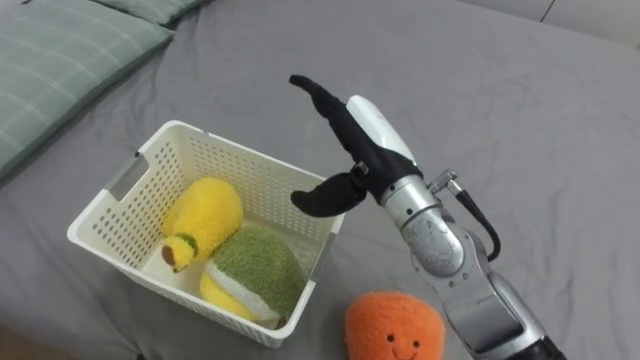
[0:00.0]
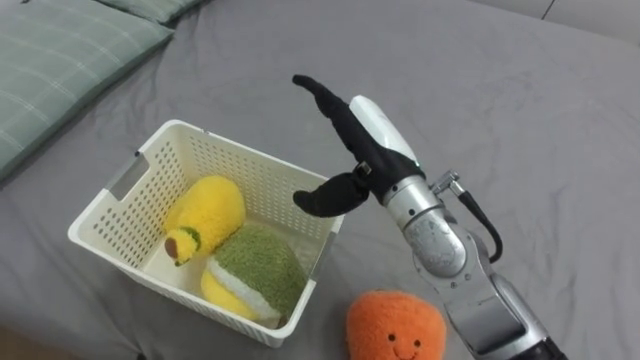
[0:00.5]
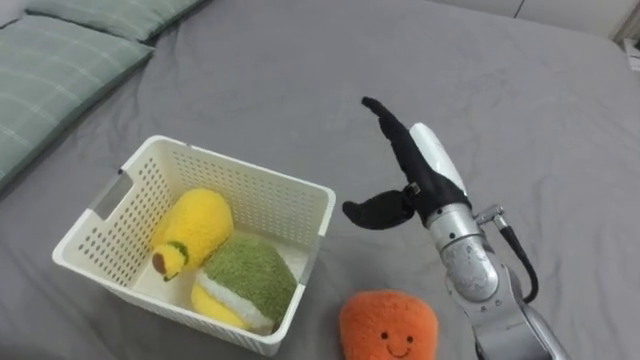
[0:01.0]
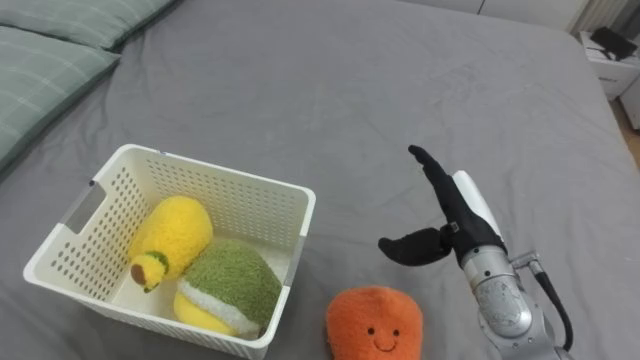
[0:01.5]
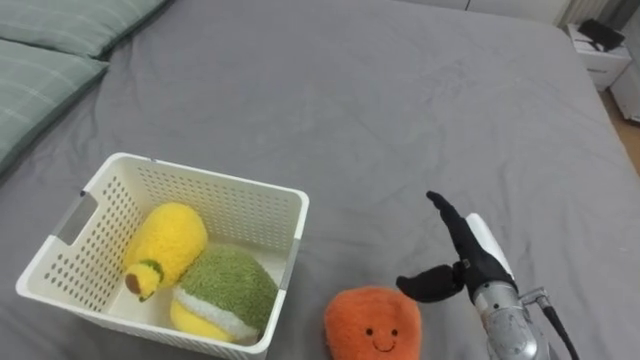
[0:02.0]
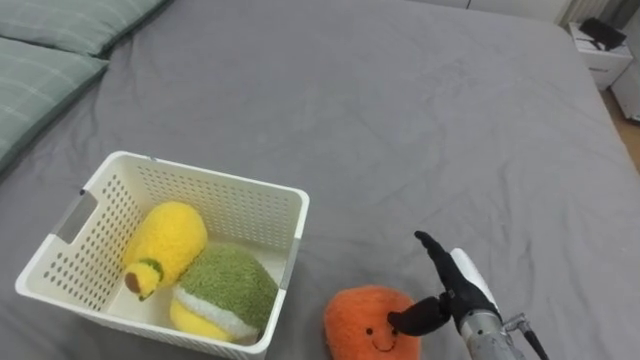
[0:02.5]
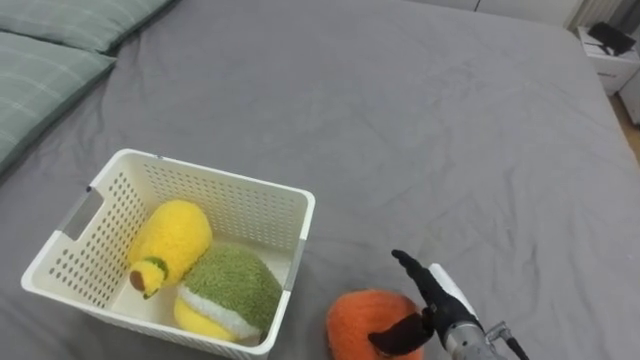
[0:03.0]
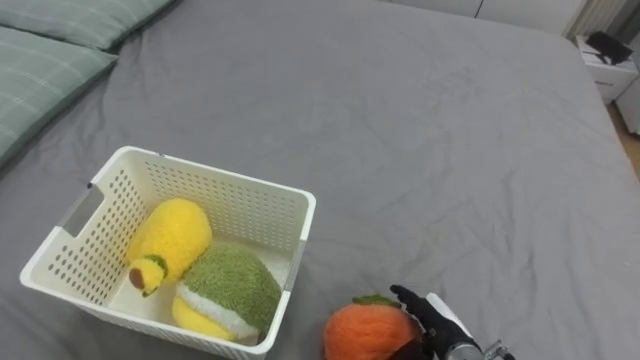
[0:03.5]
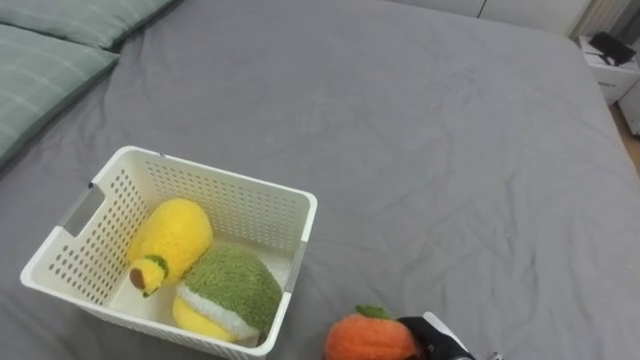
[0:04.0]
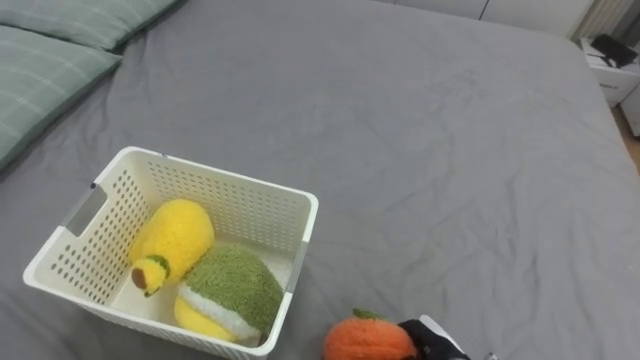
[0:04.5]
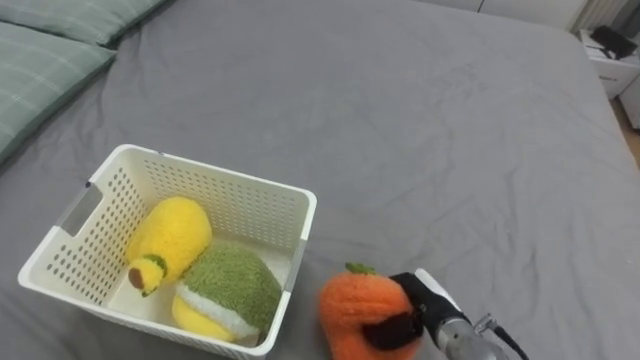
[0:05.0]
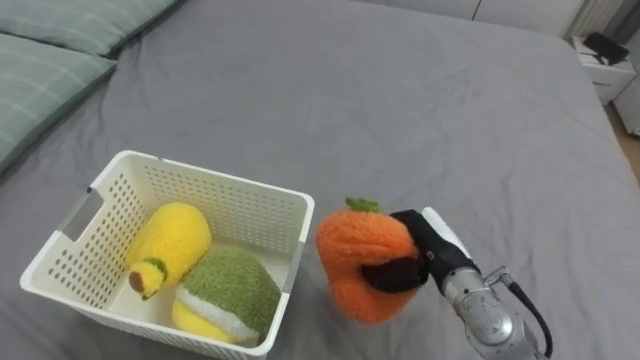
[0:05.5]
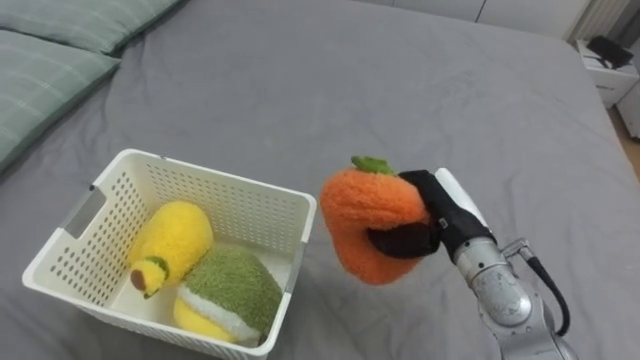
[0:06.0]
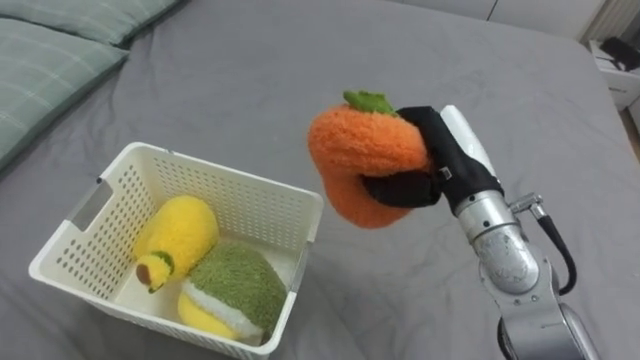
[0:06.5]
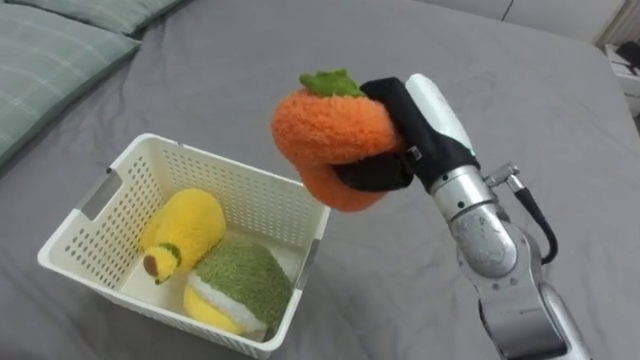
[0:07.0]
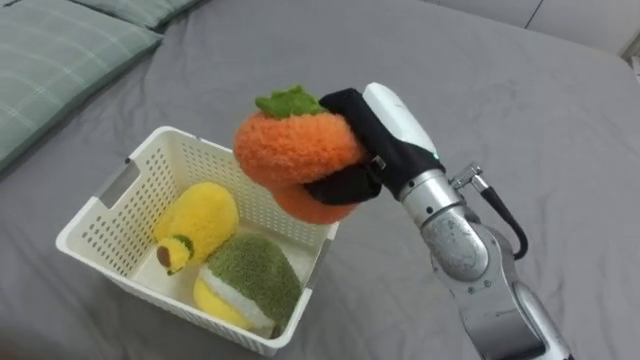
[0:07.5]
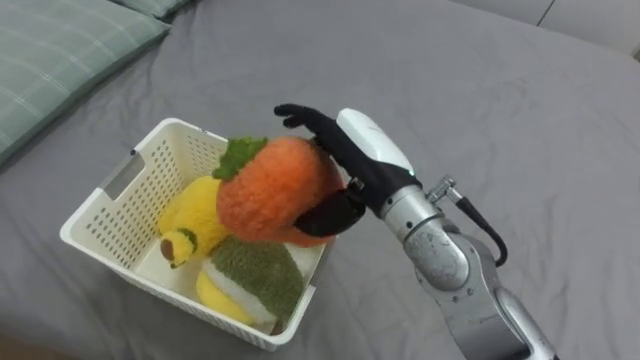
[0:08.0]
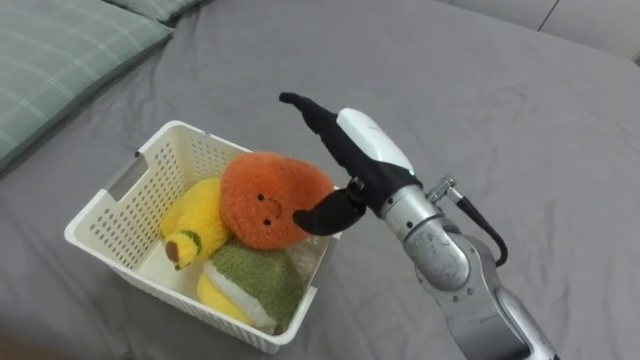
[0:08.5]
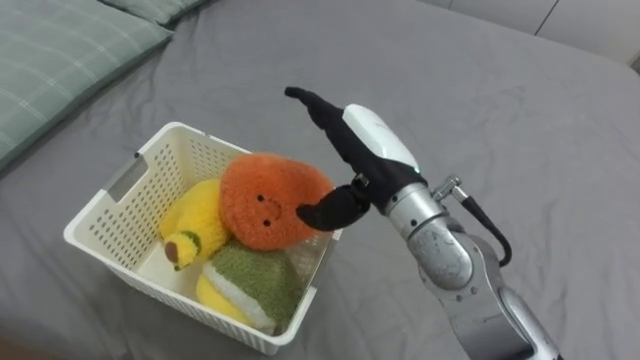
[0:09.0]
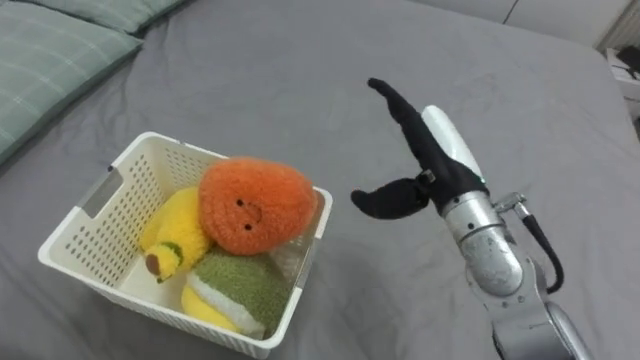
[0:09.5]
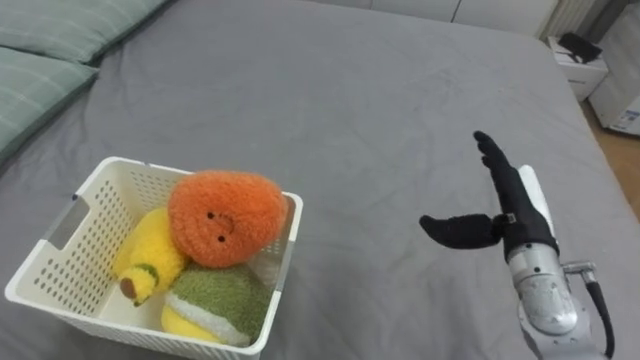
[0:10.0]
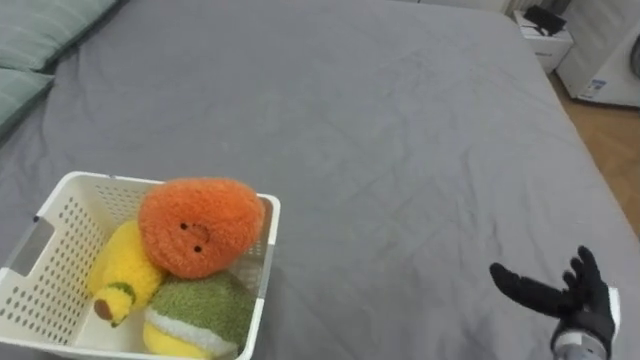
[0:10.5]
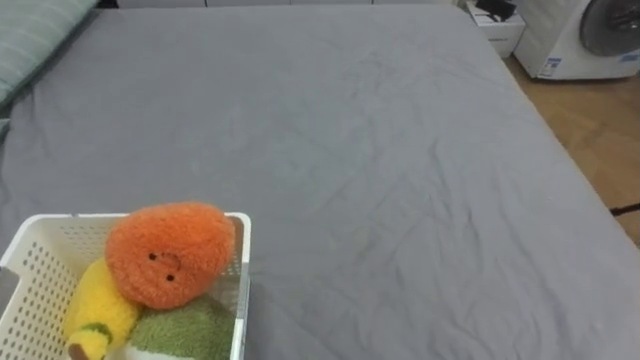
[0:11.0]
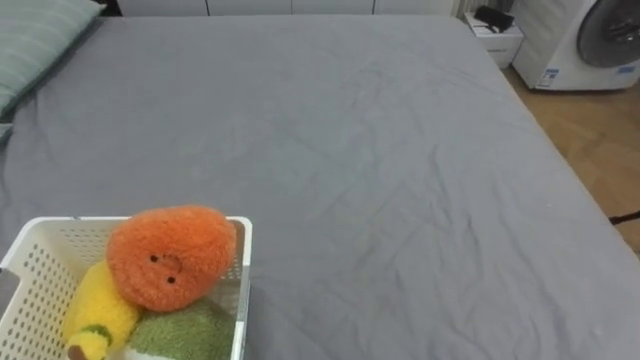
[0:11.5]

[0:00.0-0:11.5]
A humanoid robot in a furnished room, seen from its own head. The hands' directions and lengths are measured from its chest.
Task of the whole recording: Put the toys on the bed into the basket on the left.
0.0 to 2.0 s: The right hand moves downward and to the right, about 20 cm.
2.0 to 4.0 s: The right hand moves downward and backward, roughly 15 cm, and closes up.
4.0 to 6.0 s: The right hand moves upward and forward, about 20 cm, and closes its fingers.
6.0 to 7.5 s: The right hand travels upward and to the left by about 15 cm.
7.5 to 9.5 s: The right hand shifts roughly 5 cm to the right, and opens.

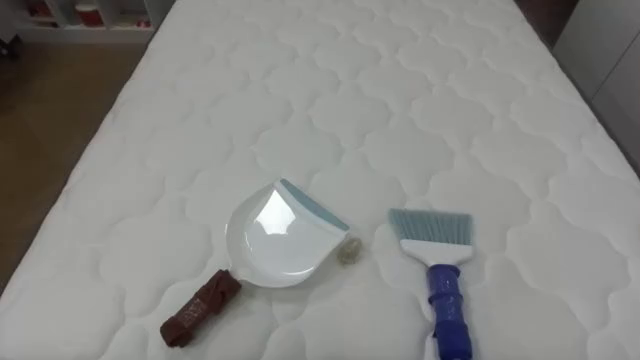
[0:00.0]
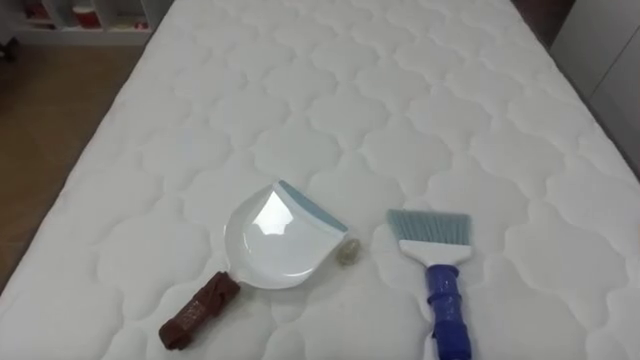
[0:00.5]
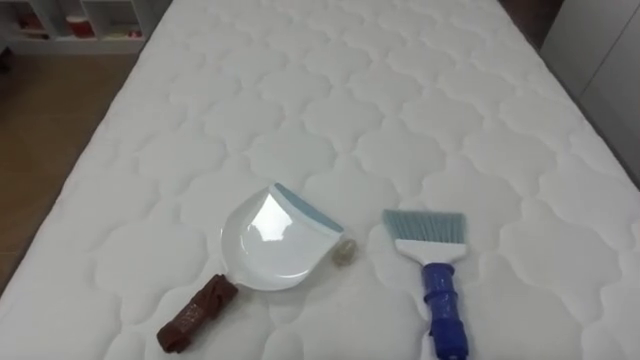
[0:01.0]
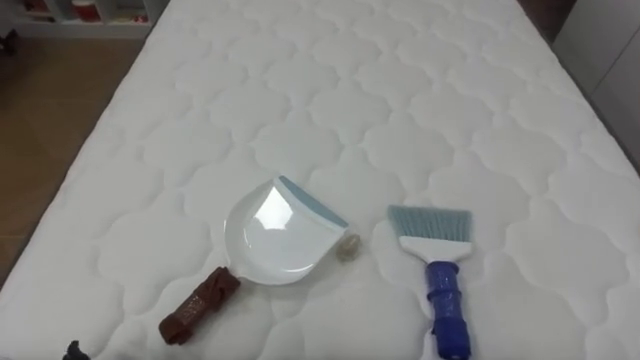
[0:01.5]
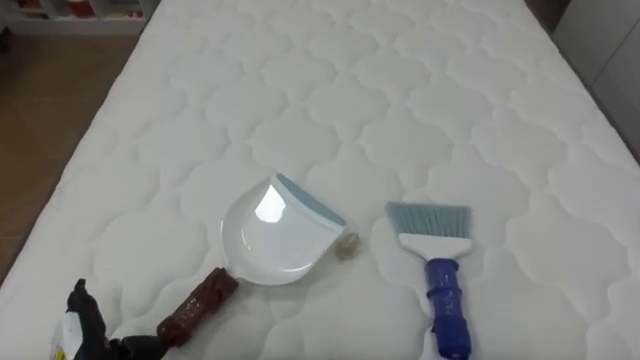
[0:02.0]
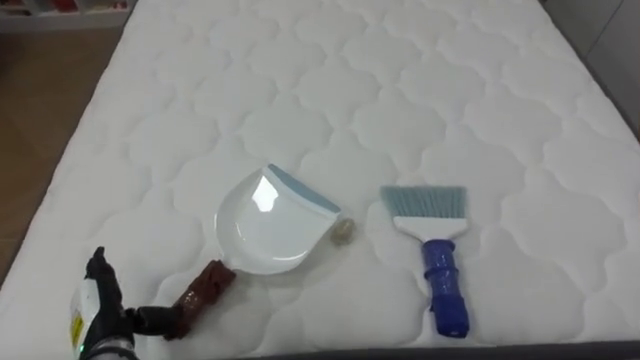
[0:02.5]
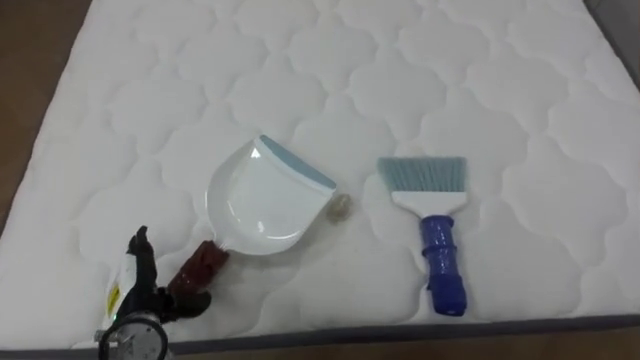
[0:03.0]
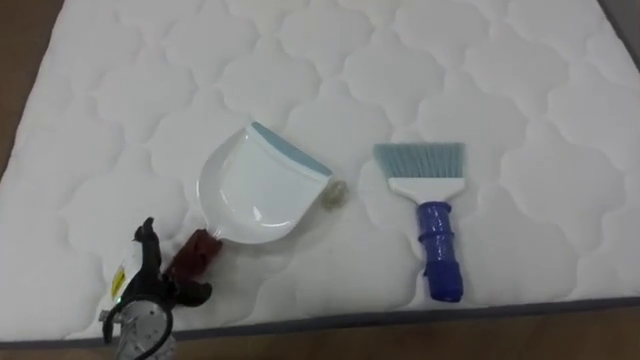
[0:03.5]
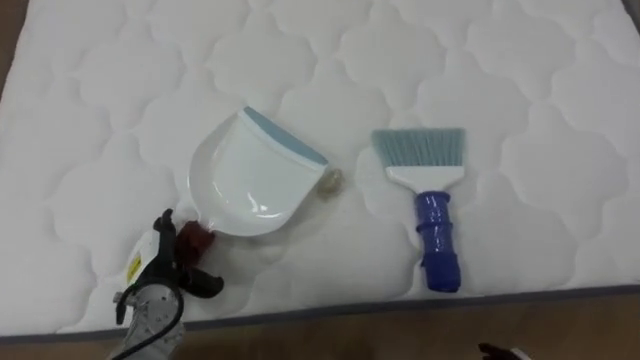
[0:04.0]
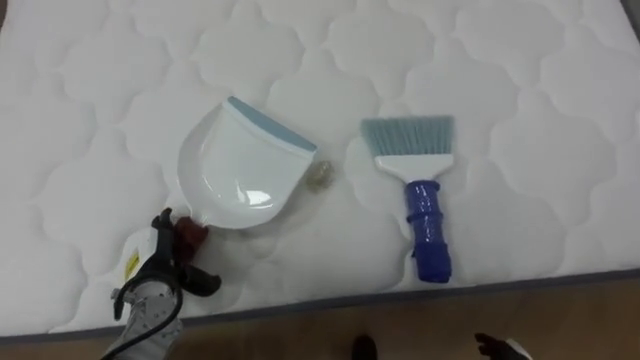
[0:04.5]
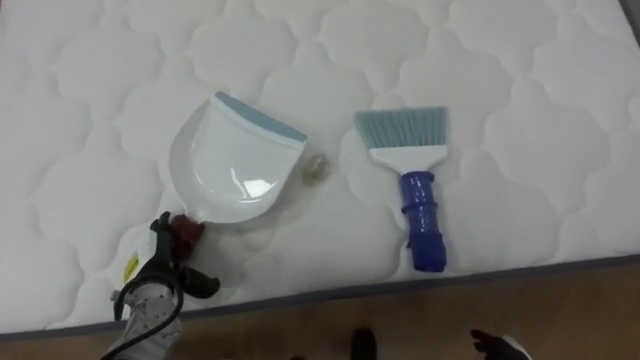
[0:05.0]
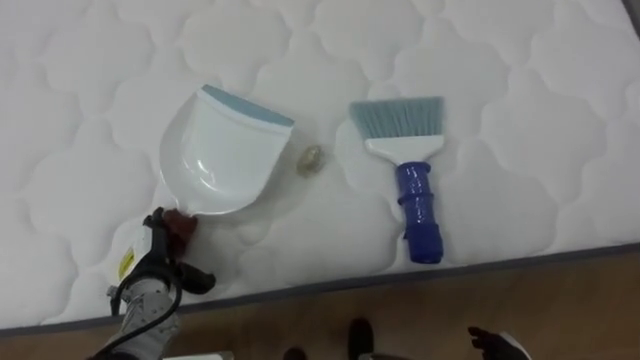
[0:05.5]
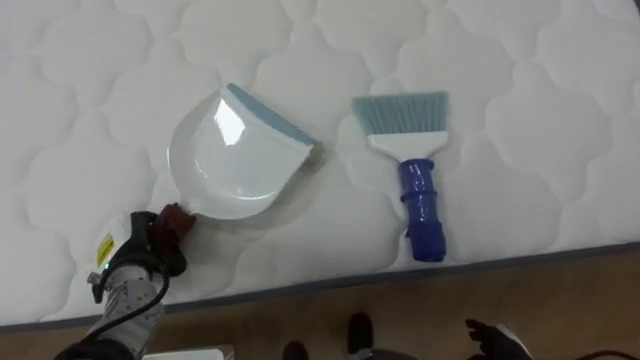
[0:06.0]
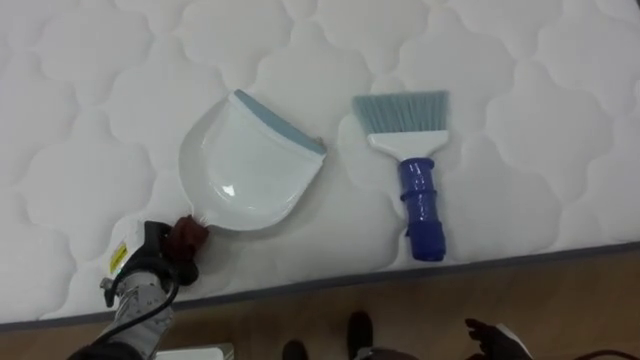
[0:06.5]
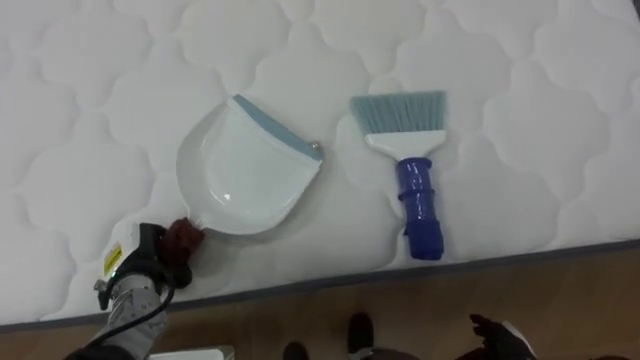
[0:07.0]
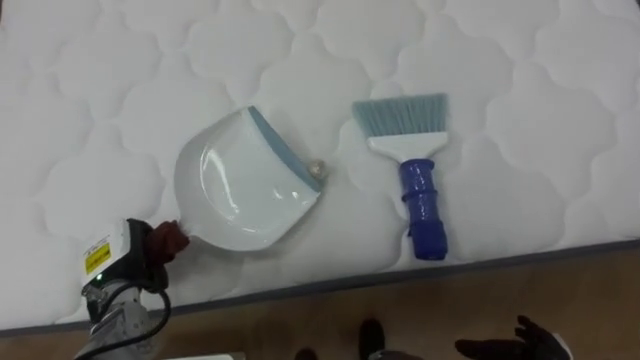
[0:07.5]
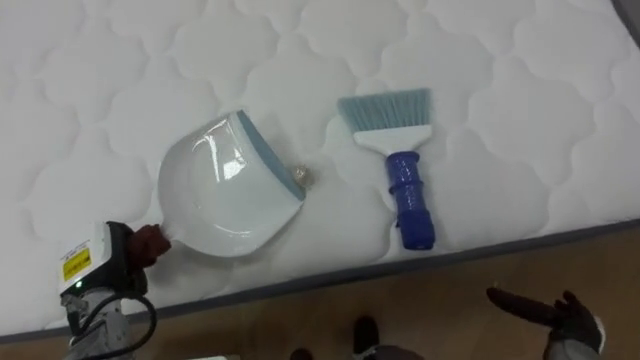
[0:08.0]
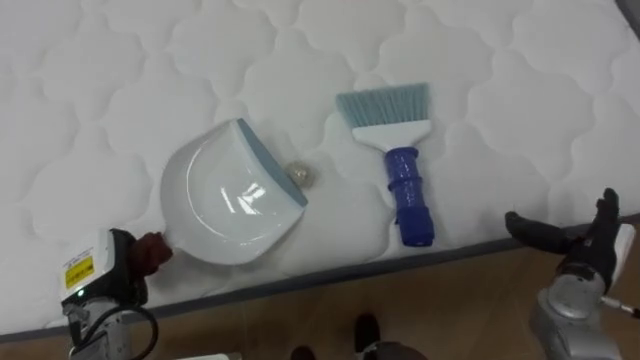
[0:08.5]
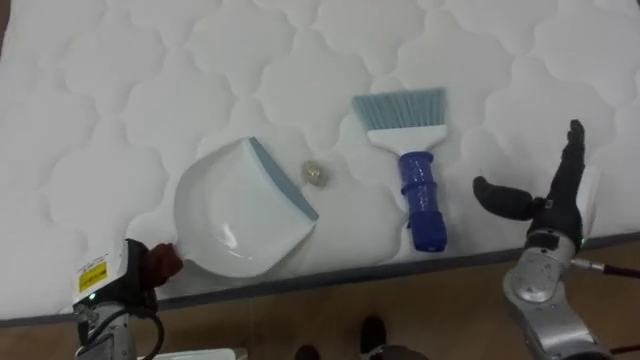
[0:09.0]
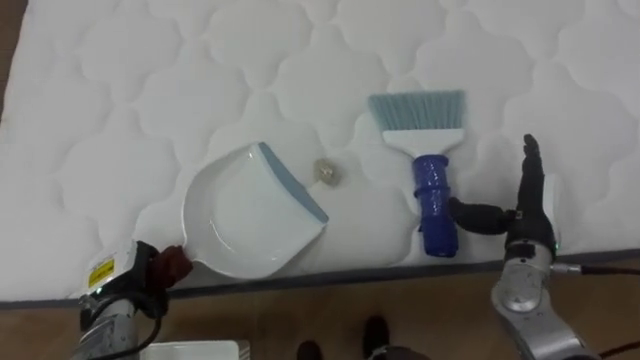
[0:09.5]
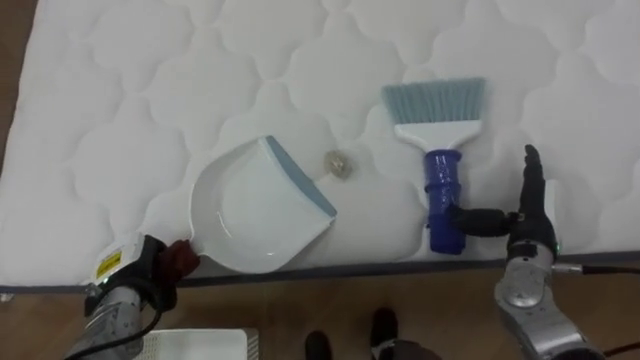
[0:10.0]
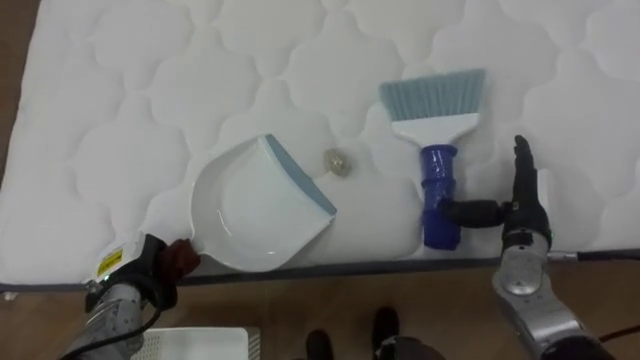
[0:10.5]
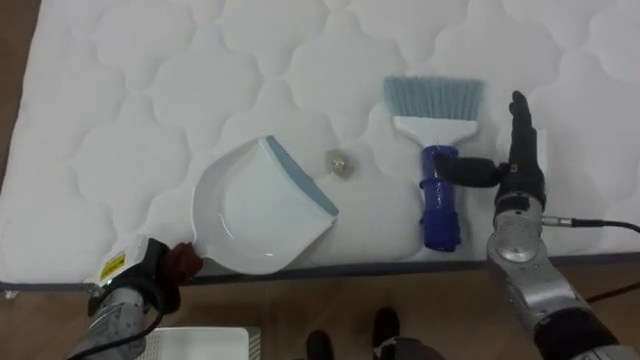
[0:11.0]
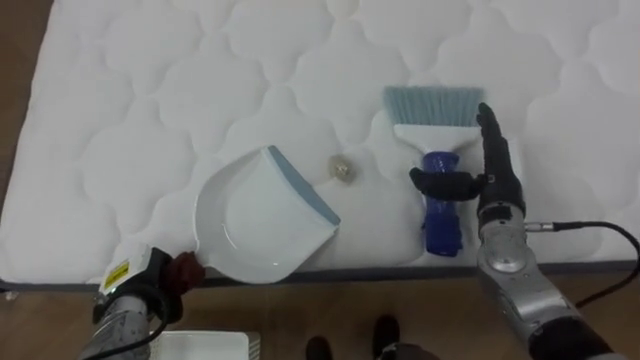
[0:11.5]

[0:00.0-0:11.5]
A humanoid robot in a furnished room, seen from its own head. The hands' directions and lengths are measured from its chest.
Task of the whole recording: Pick up the brush on your right and the dustpan on your left. Use the brush to sweep the crumpled paper on the bed into the dustpan, then turn left and empty it into the basket.
2.0 to 4.0 s: The left hand travels forward and to the right by roughly 15 cm.
4.0 to 6.0 s: The left hand closes up.
9.5 to 11.5 s: The right hand moves roughly 5 cm.
